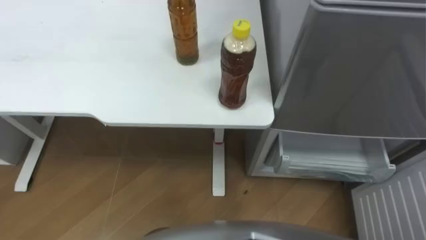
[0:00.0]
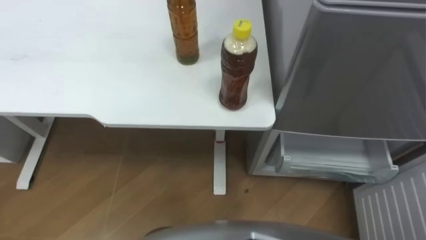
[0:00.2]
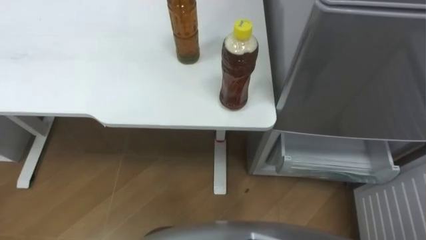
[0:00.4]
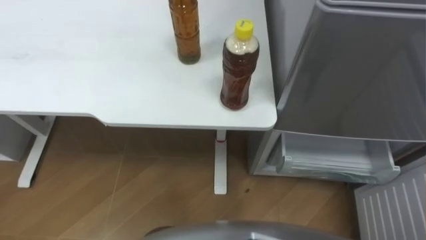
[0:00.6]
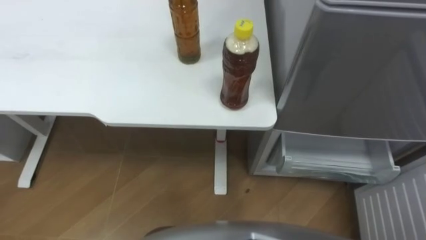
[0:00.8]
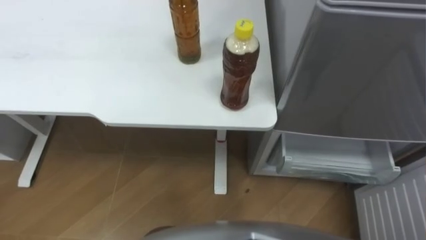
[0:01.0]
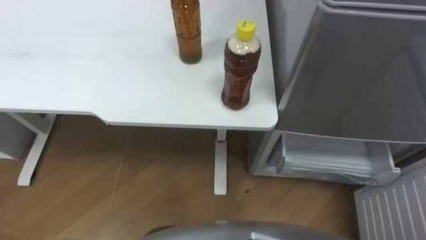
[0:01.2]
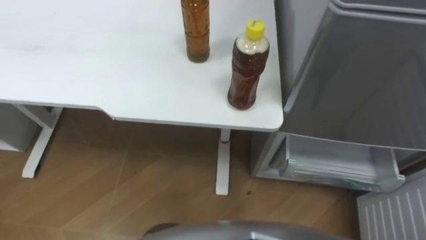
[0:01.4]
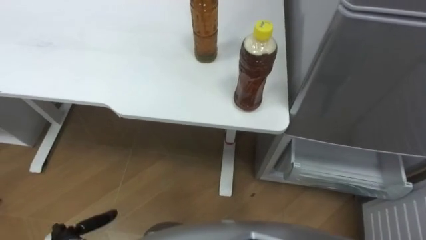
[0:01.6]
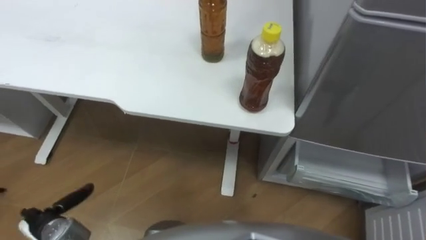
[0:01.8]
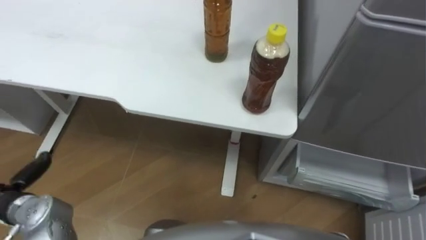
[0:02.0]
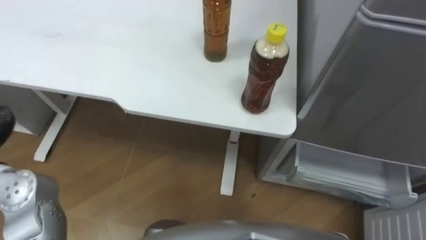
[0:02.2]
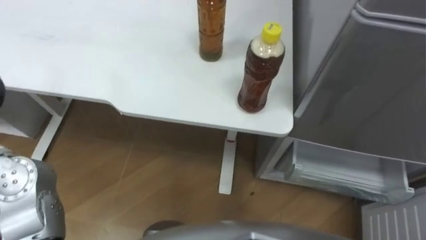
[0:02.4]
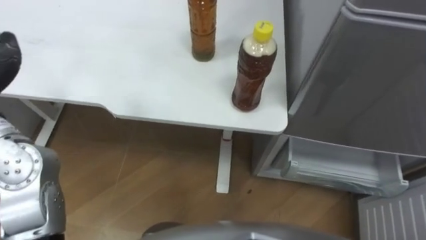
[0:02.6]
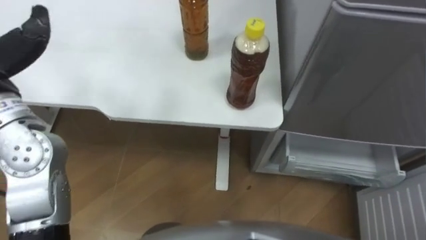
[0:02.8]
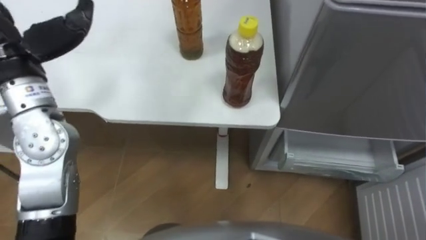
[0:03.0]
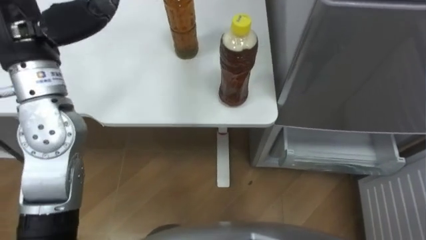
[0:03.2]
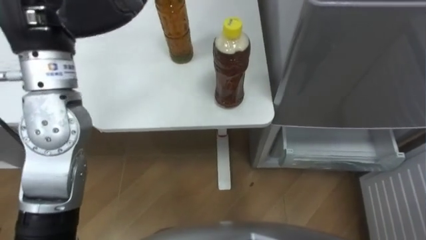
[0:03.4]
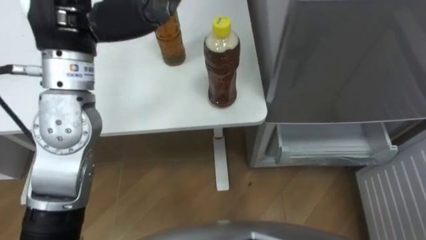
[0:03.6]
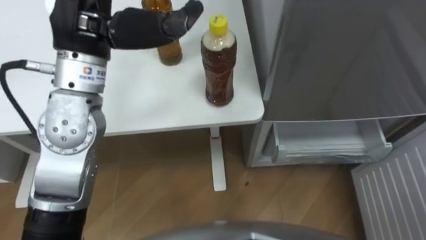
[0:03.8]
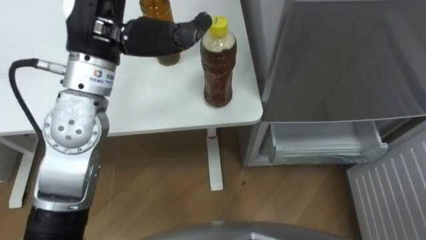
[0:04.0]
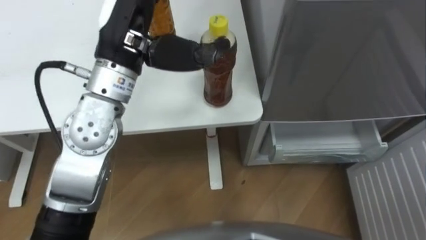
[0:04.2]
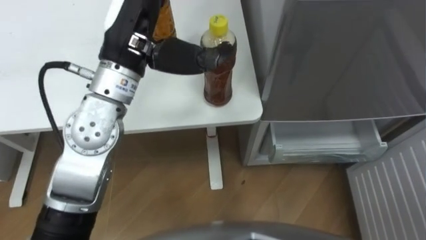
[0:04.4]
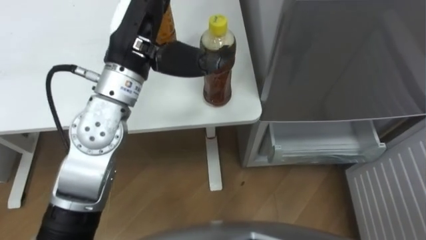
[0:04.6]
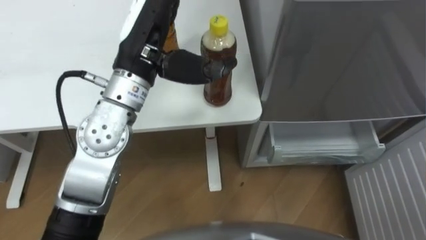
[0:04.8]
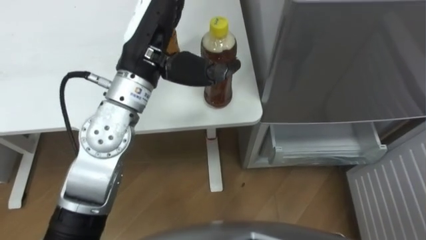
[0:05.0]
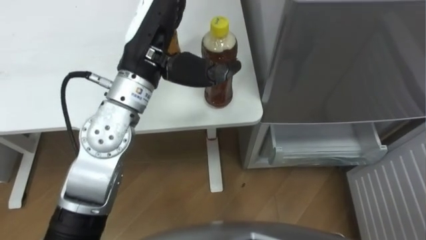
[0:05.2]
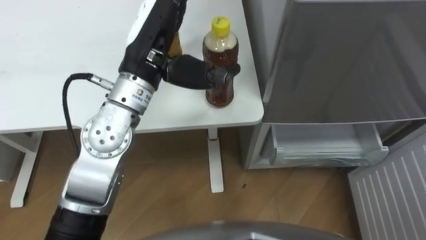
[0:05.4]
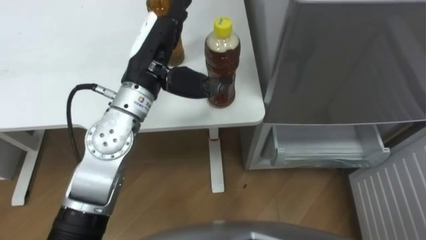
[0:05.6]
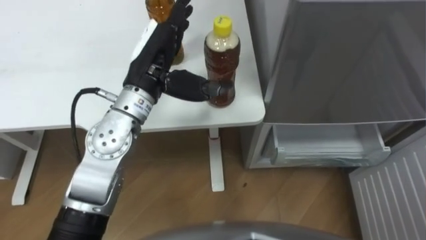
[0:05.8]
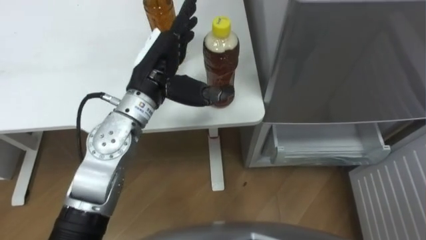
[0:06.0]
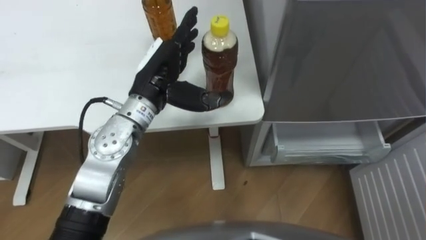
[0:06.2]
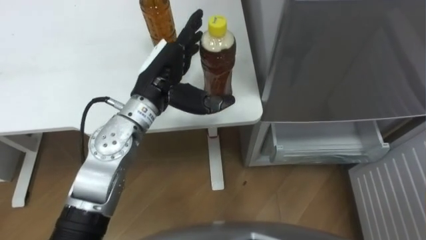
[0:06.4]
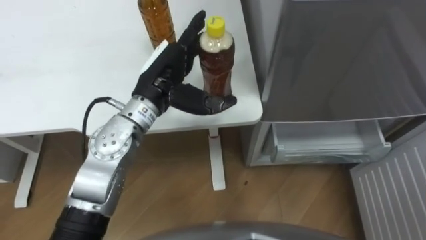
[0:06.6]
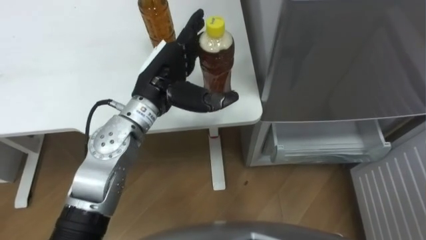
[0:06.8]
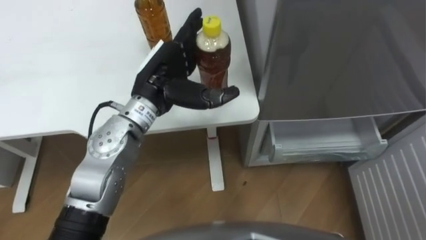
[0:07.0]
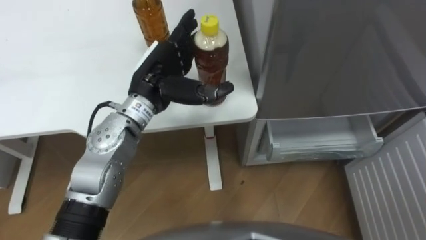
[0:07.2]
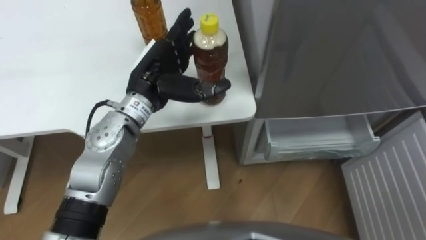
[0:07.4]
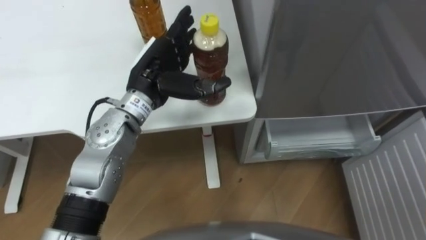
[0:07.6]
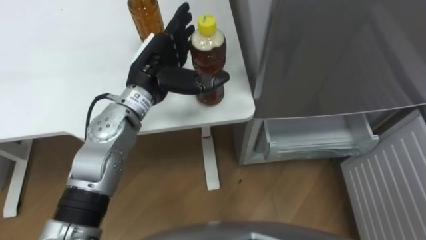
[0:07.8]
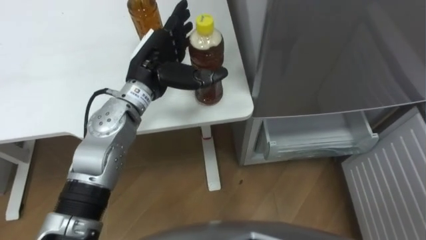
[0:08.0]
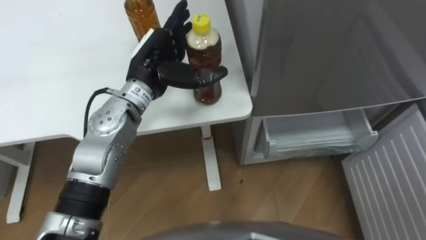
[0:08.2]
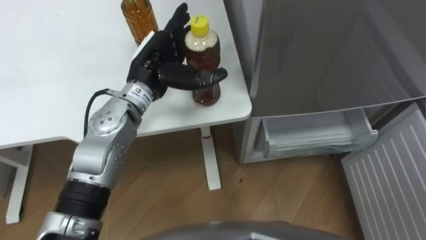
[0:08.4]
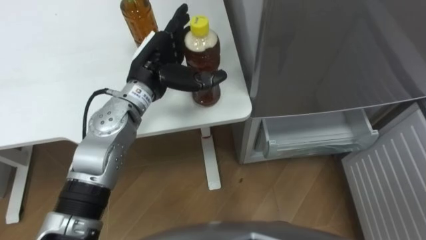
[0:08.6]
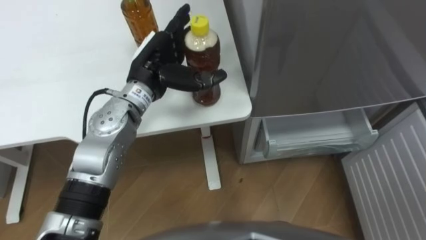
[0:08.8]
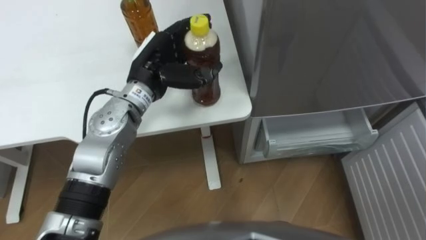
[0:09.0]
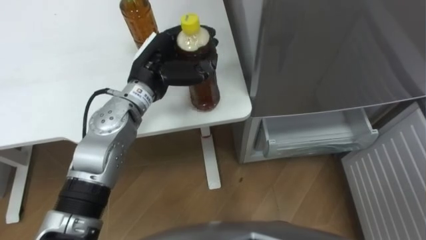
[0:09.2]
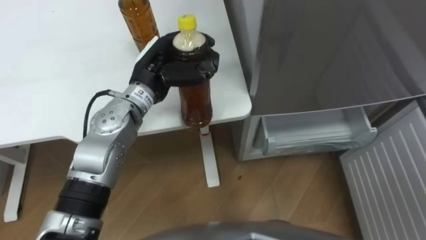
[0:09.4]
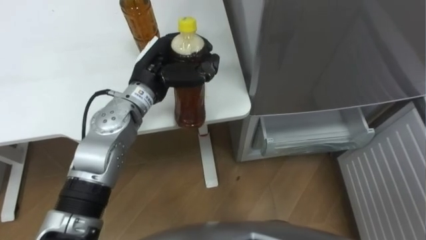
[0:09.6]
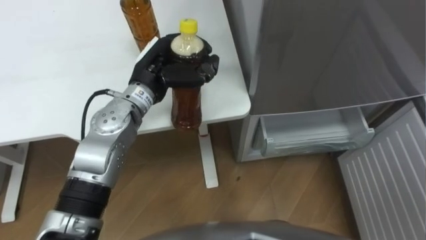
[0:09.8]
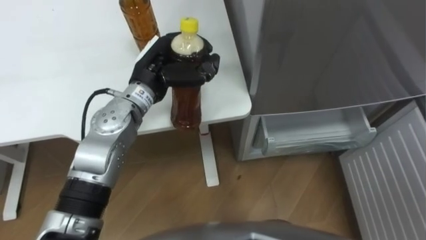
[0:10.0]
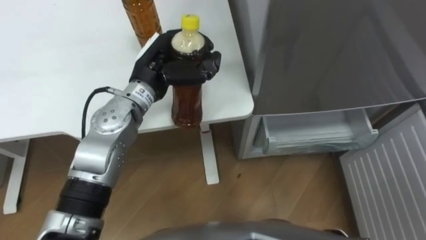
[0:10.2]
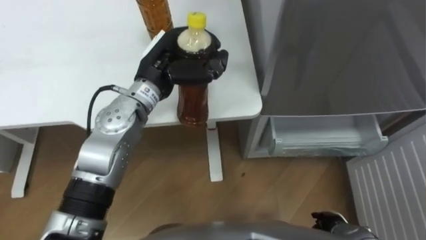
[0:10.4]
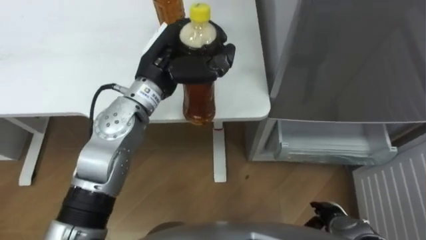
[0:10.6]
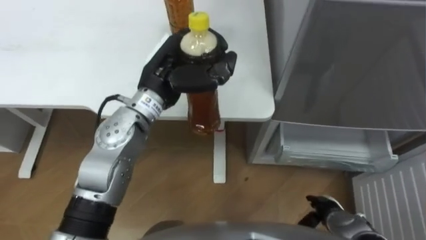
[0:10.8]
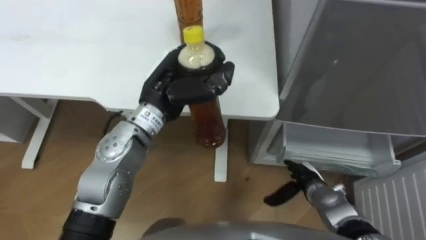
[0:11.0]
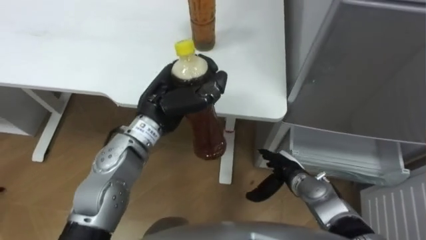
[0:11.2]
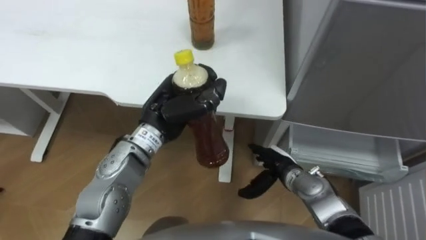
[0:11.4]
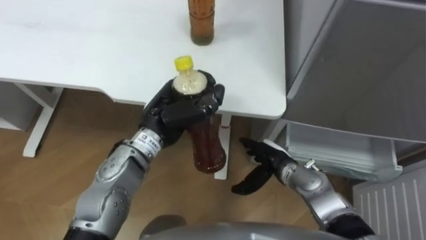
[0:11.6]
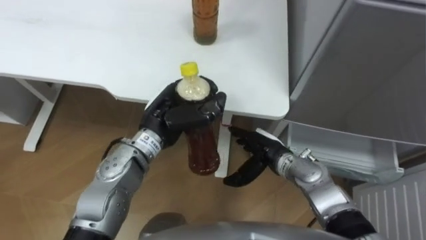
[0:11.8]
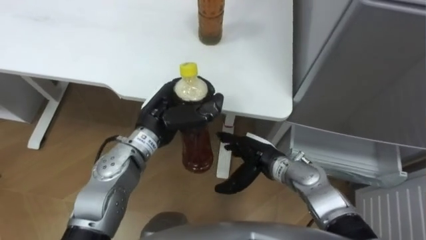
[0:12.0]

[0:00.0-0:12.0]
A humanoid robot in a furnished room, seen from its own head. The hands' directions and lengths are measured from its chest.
Task of the whole recording: Place the drink on the table on the bottom shelf of the refrigerator, then close the drawer and the refrigerator door.
0:04.4 to 0:06.0: The left hand travels downward by about 10 cm.
0:09.0 to 0:10.4: The left hand closes its fingers.
0:10.4 to 0:12.0: The right hand travels to the left, forward and upward by roughly 25 cm; the left hand travels backward and downward by roughly 10 cm.

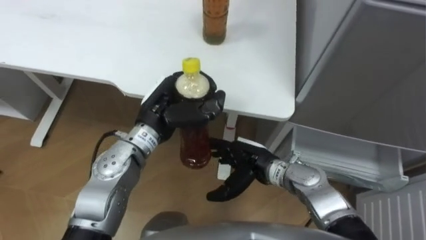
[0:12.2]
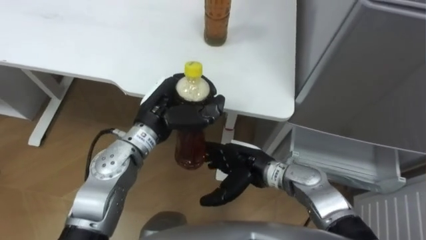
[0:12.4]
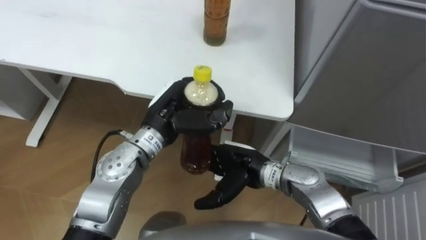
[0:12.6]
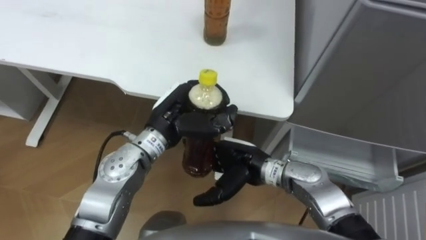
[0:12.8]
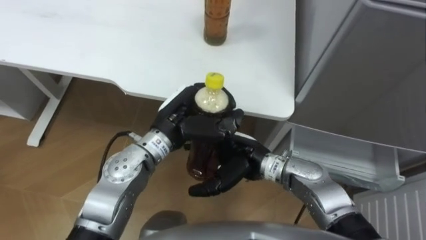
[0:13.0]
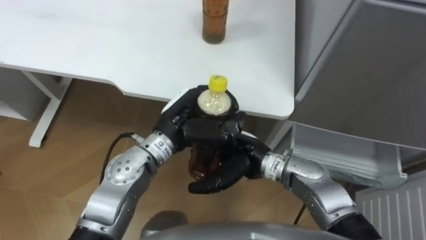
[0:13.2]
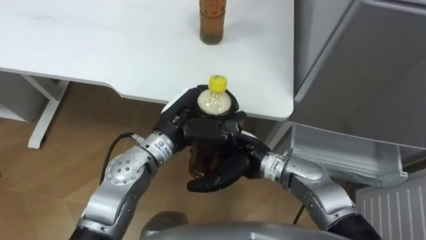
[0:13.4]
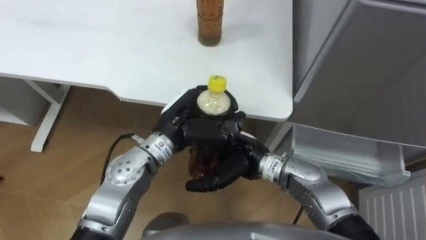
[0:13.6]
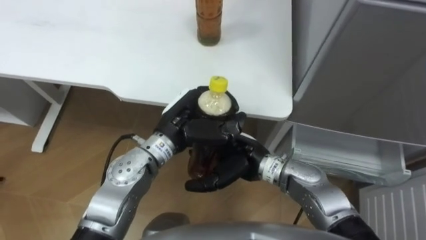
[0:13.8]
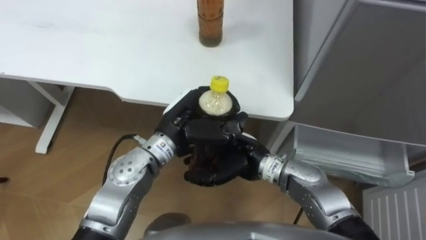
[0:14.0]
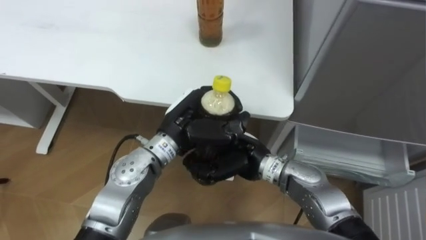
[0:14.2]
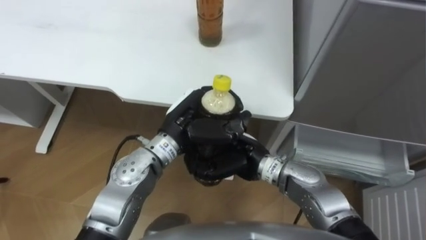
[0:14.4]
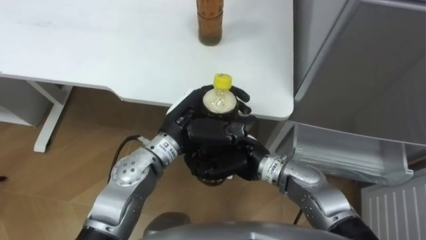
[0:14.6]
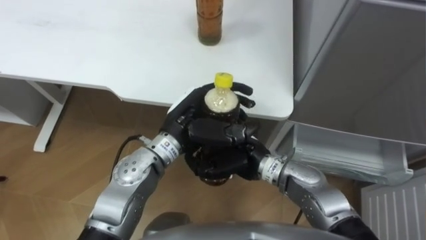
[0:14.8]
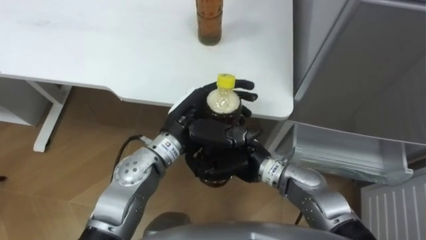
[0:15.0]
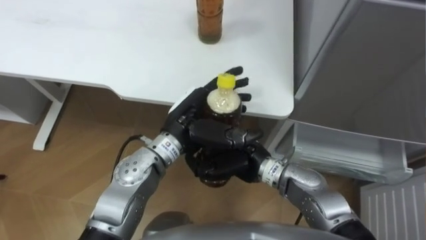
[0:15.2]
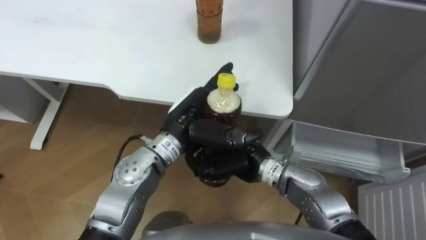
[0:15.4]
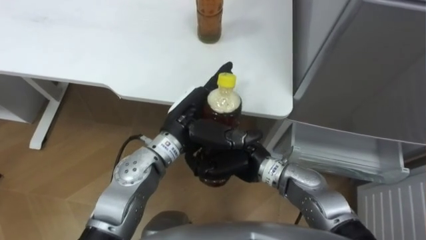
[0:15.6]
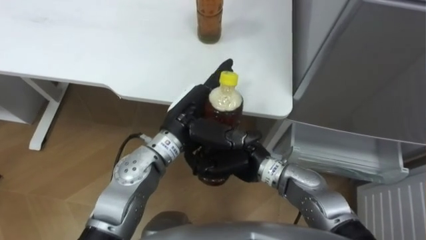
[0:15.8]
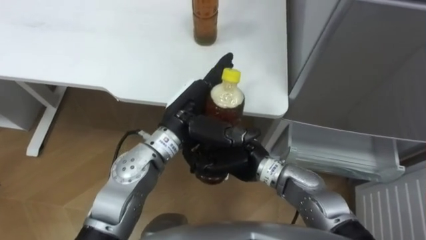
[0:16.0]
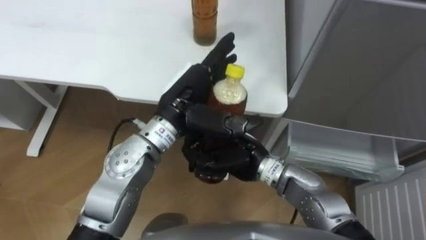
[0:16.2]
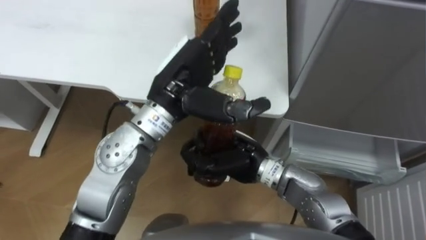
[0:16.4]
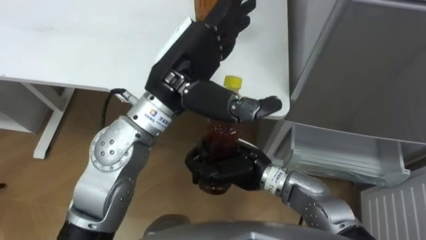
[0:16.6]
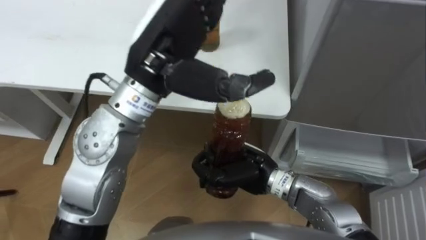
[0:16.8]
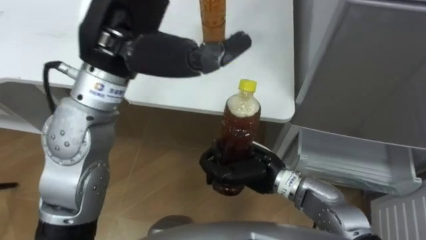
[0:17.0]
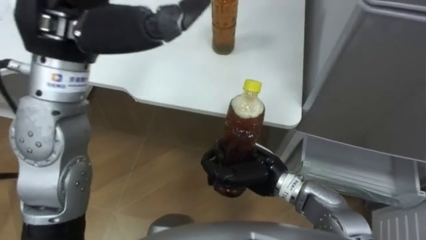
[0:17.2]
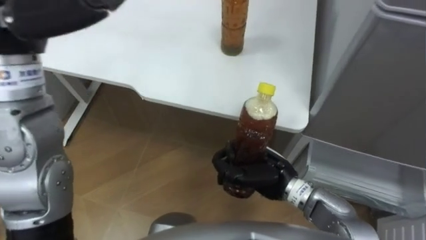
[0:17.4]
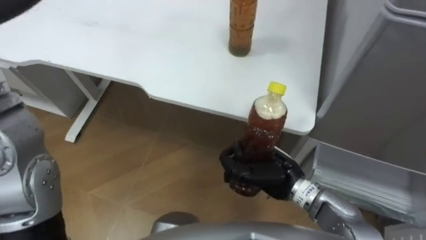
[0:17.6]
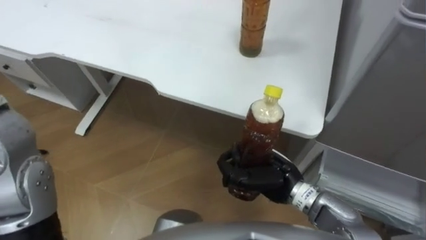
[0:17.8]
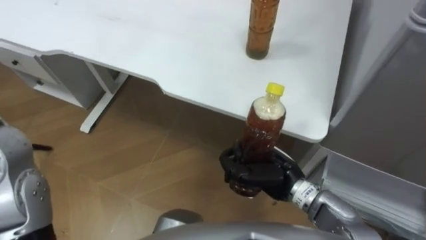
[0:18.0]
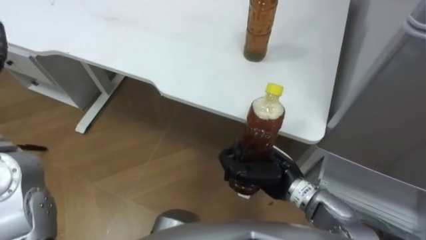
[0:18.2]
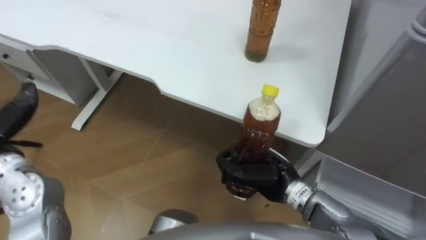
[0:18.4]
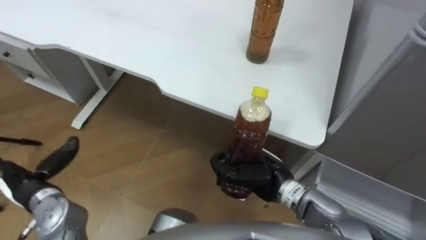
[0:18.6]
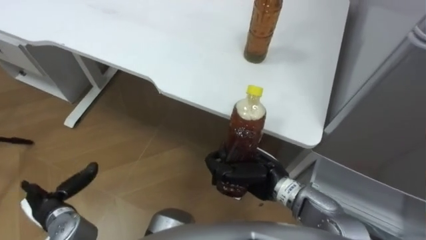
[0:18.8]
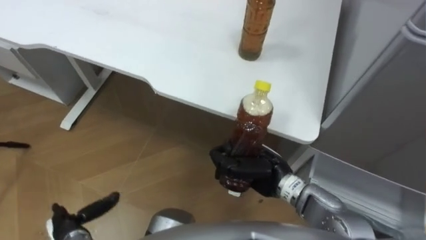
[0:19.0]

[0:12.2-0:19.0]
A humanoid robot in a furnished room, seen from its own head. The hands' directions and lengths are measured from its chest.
Task of the whole recording: Place the drink on the table on the bottom shelf of the refrigerator, then close the drawer and the refrigerator door.
0:12.2 to 0:13.6: The right hand moves upward, roughly 5 cm.
0:13.6 to 0:15.0: The right hand closes its fingers; the left hand opens up.
0:15.0 to 0:16.2: The left hand opens its fingers.
0:16.2 to 0:17.6: The right hand is displaced to the right by roughly 5 cm.
